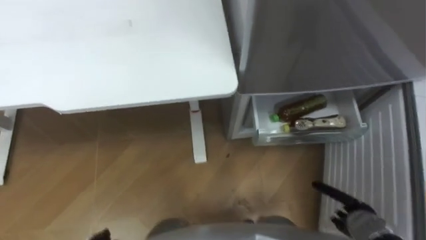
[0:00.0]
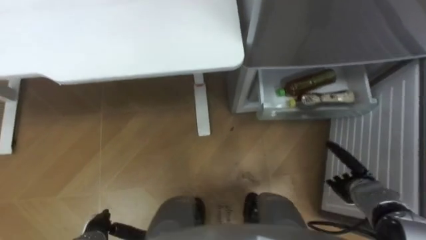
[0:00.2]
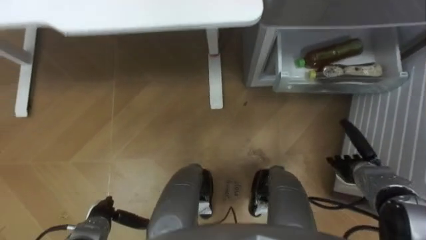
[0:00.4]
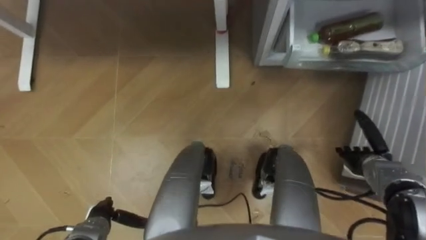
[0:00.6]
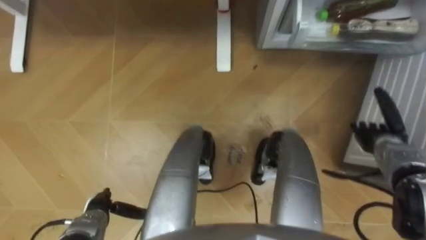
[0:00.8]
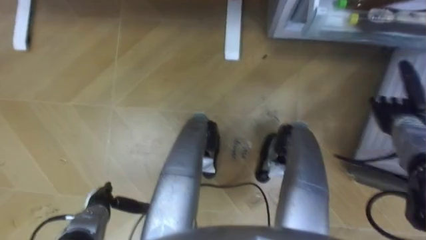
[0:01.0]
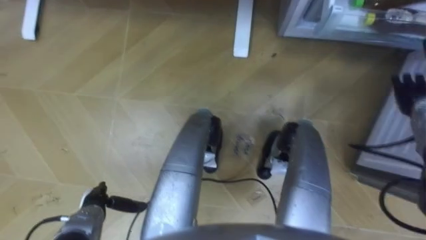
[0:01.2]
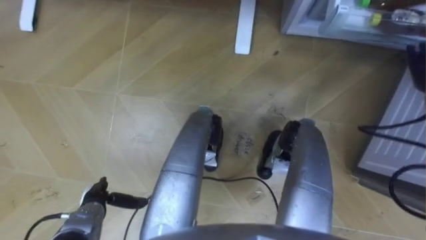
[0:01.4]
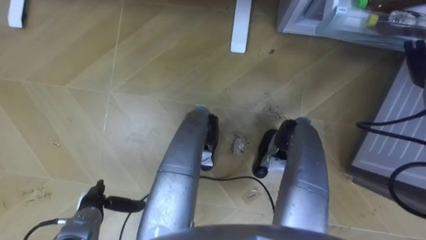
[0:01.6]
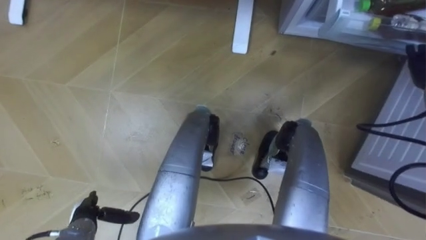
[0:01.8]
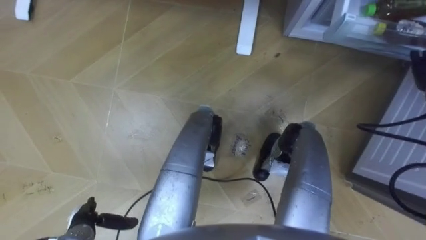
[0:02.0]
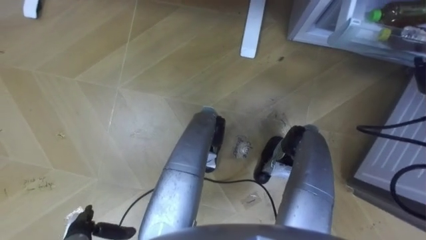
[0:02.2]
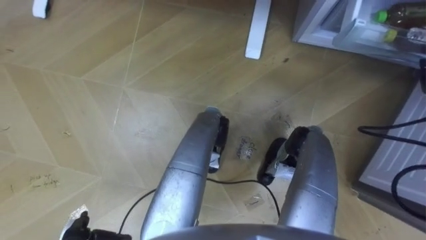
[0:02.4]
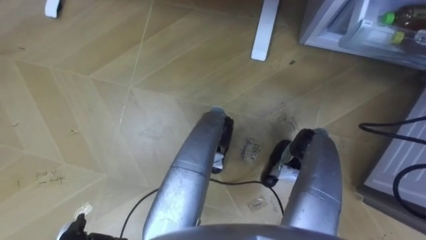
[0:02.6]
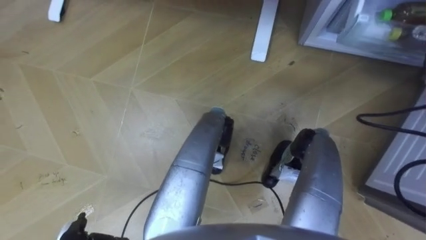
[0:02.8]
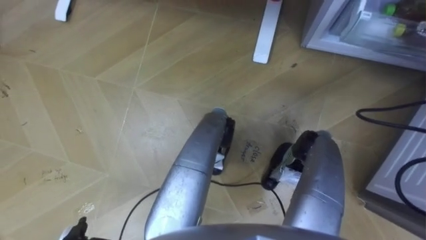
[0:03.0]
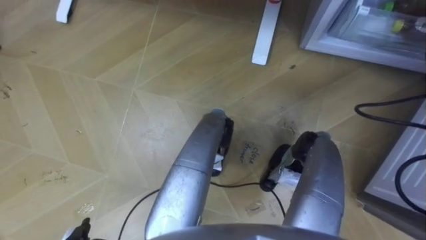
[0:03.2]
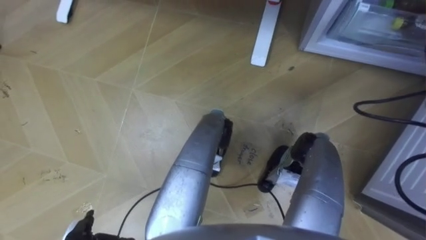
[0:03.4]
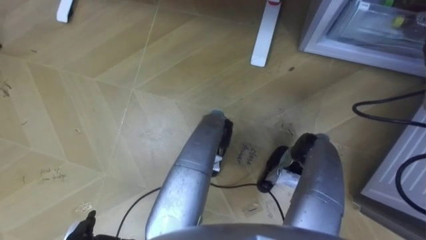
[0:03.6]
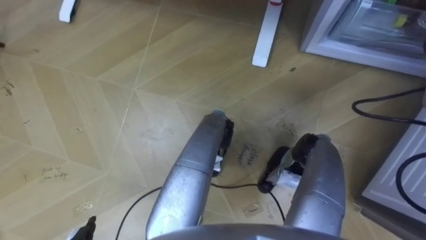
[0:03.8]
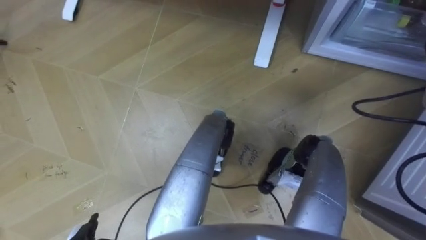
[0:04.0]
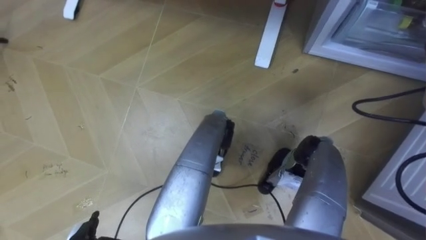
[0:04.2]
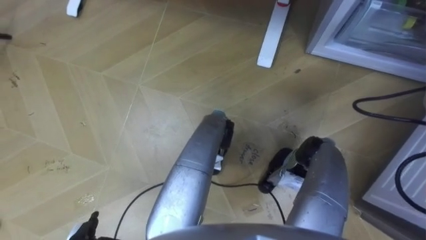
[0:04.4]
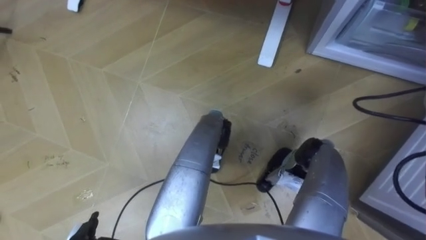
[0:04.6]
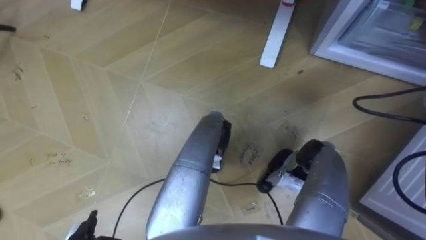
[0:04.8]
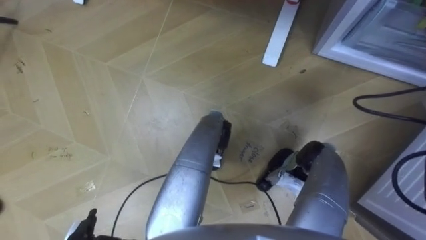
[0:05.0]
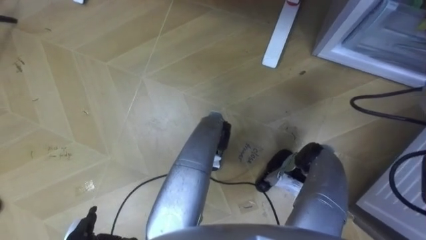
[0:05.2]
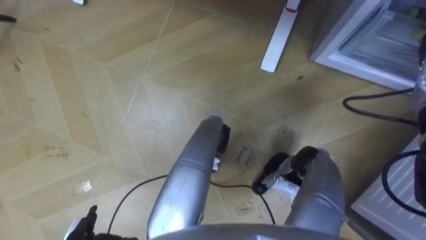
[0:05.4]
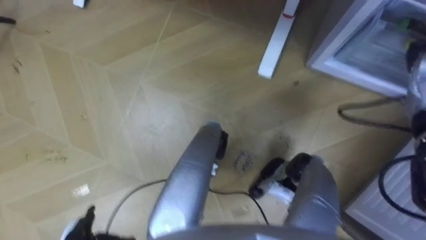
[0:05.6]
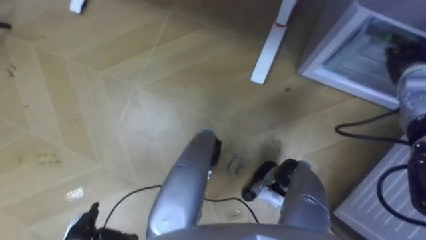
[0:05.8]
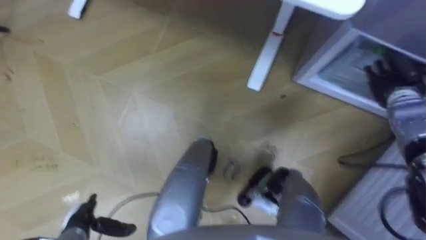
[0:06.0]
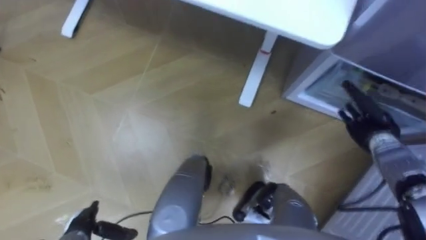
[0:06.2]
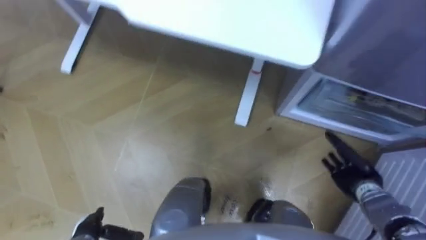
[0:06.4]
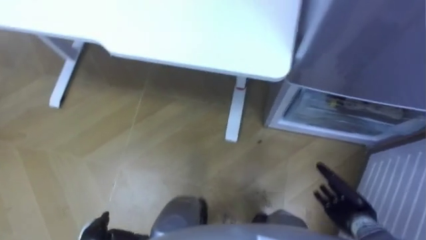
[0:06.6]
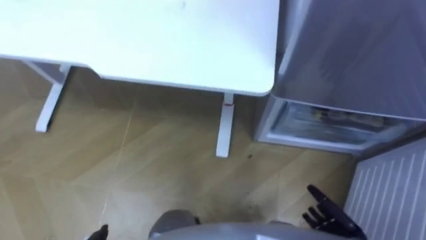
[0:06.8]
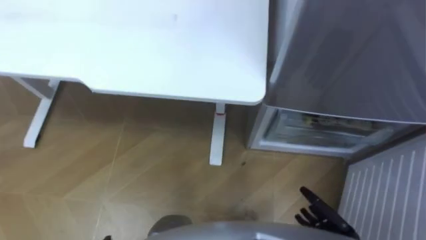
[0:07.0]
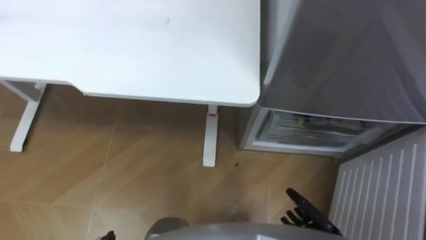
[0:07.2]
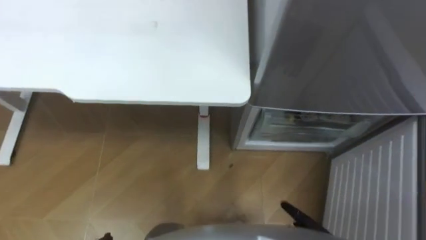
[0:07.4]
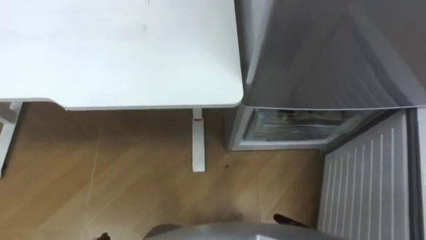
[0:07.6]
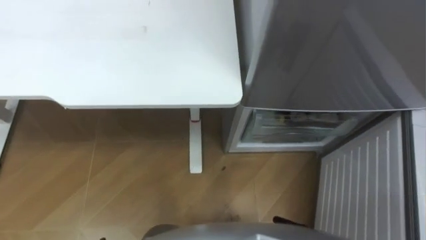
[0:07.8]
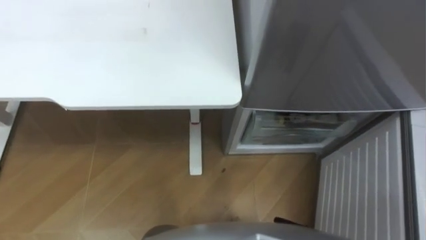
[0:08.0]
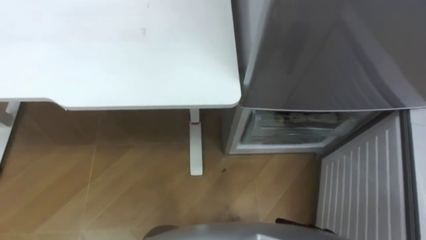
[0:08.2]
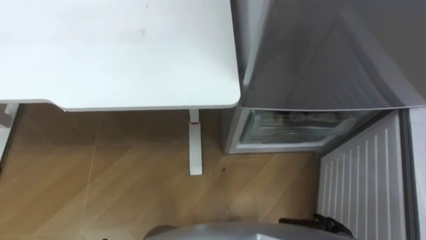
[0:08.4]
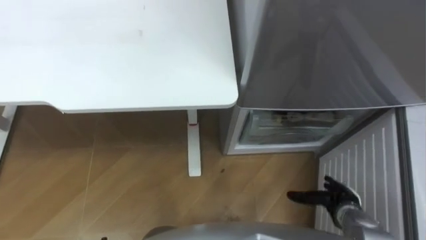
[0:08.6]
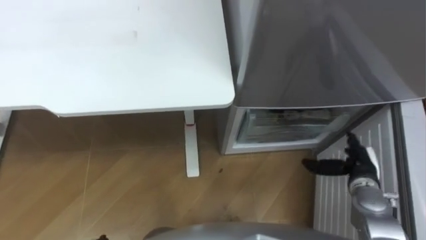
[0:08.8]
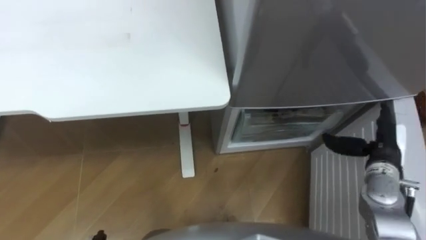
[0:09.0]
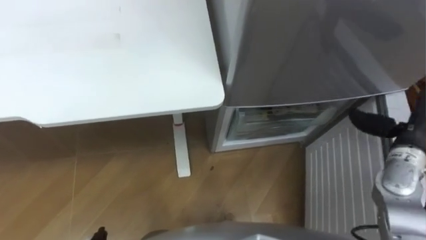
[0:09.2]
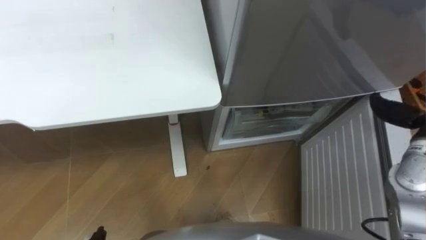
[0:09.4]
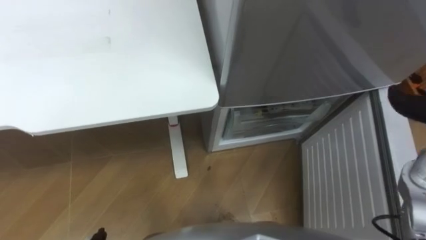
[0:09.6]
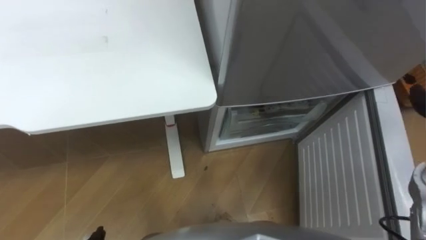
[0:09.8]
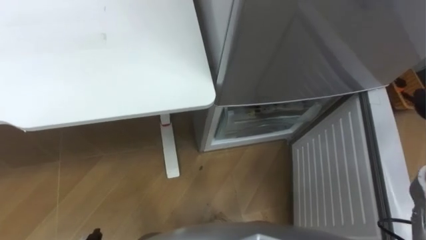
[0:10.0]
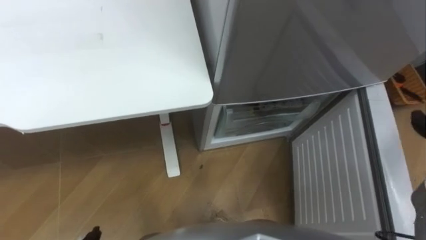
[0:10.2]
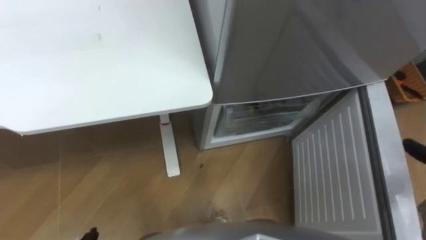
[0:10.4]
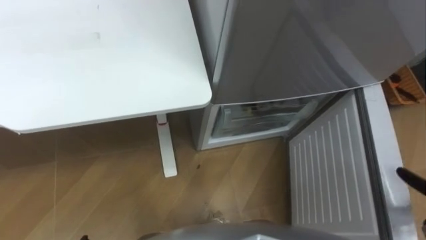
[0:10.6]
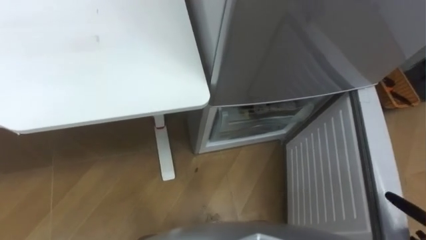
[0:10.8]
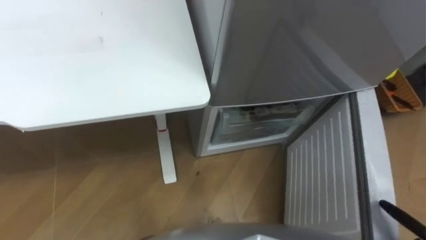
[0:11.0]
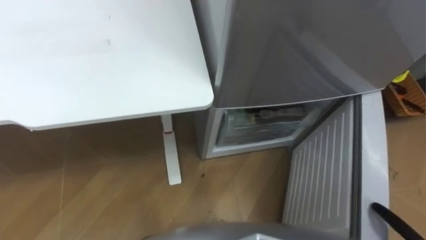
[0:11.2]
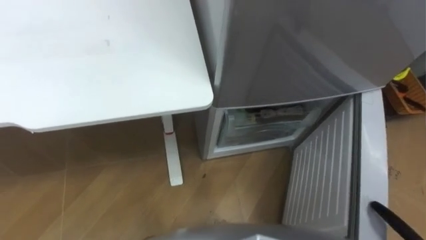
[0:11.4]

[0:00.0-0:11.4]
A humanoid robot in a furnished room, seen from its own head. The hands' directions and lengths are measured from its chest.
Task of the whole recording: Place the drink on the table on the bottom shelf of the refrigerator, then close the drawer and the refrigerator door.
0:05.6 to 0:07.2: The right hand shifts roughly 40 cm backward, downward and to the left.

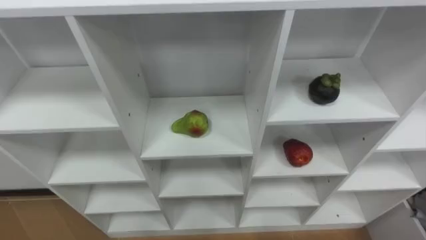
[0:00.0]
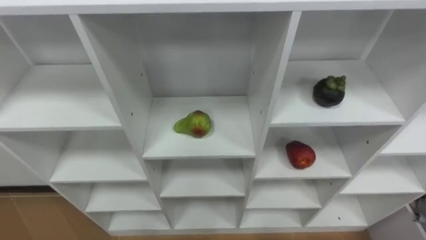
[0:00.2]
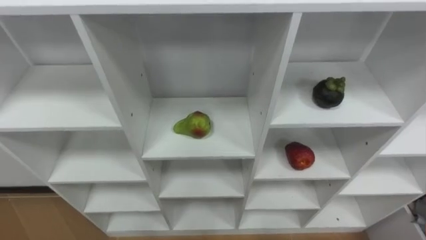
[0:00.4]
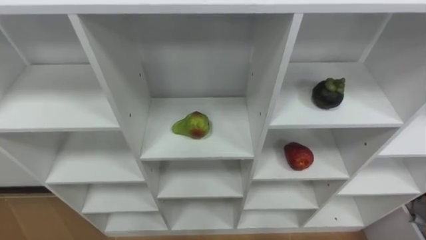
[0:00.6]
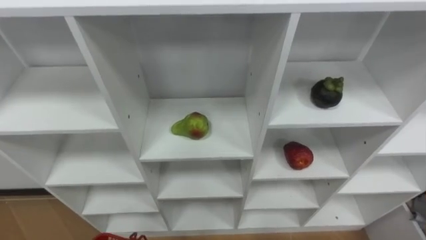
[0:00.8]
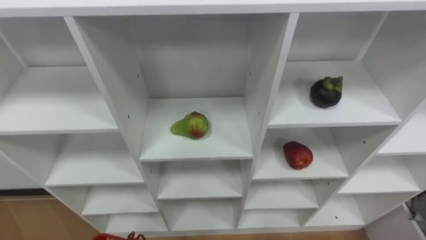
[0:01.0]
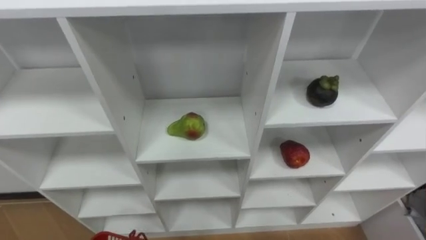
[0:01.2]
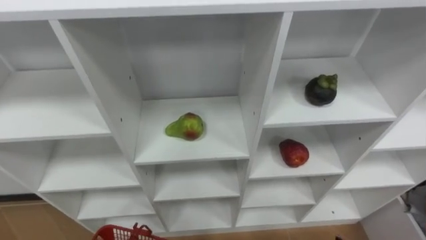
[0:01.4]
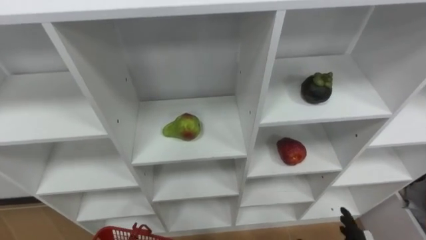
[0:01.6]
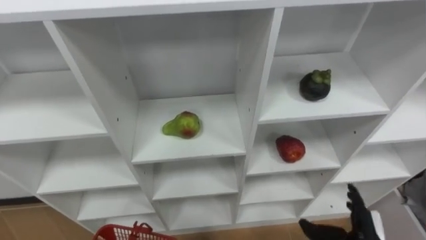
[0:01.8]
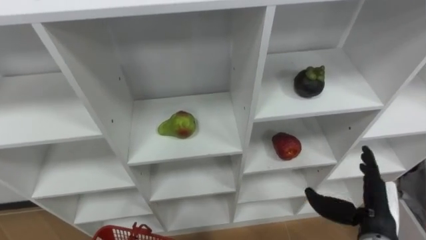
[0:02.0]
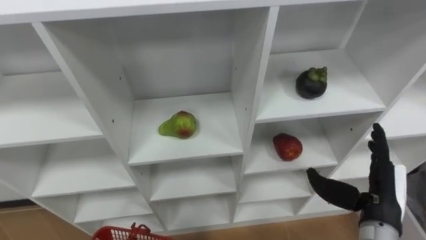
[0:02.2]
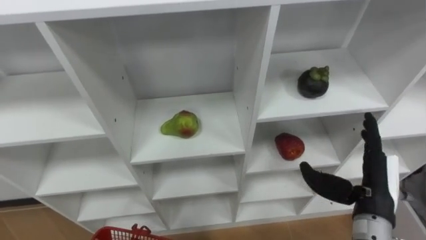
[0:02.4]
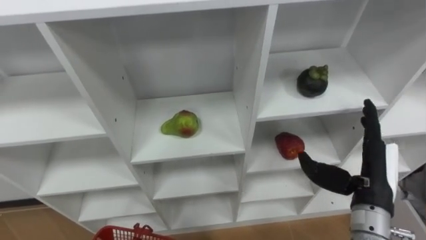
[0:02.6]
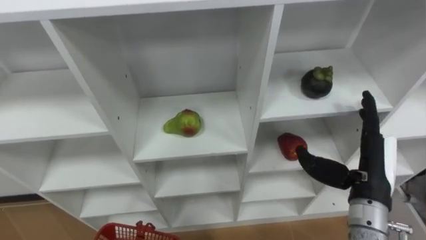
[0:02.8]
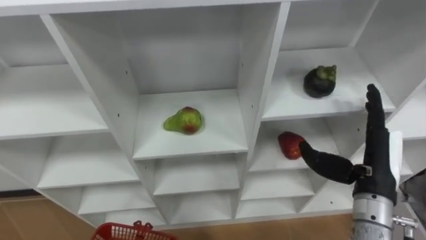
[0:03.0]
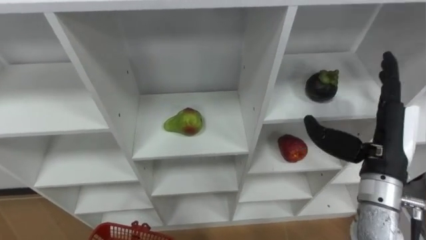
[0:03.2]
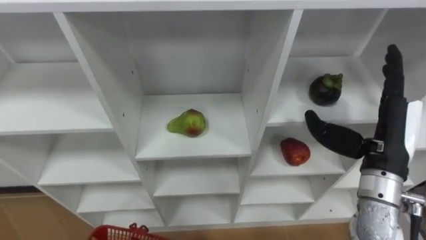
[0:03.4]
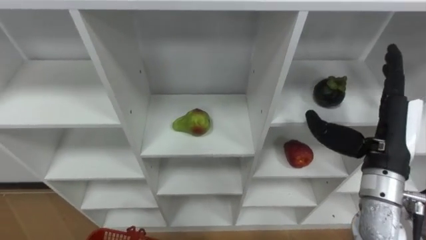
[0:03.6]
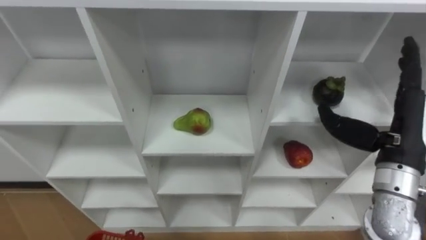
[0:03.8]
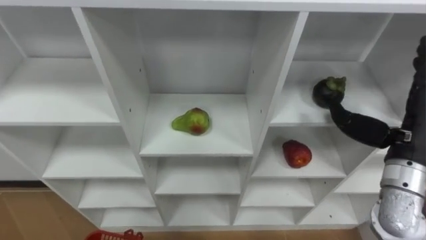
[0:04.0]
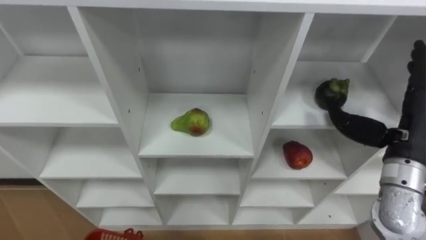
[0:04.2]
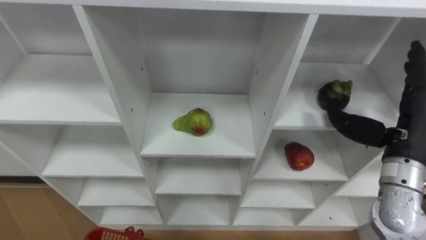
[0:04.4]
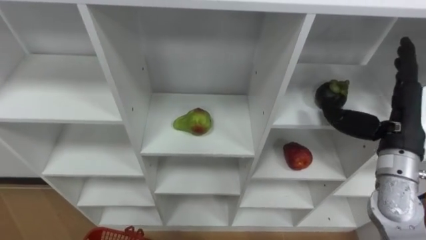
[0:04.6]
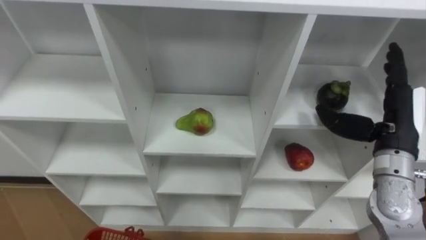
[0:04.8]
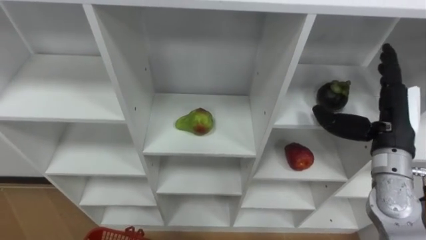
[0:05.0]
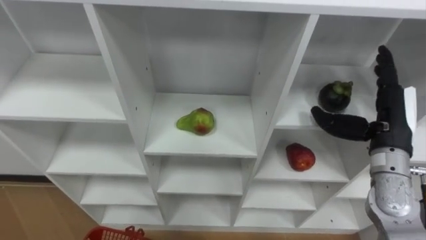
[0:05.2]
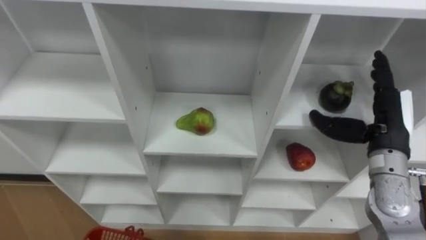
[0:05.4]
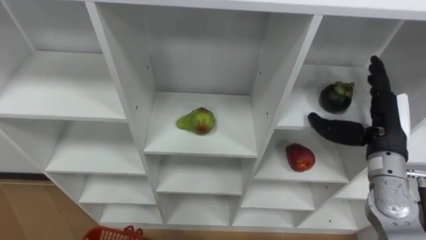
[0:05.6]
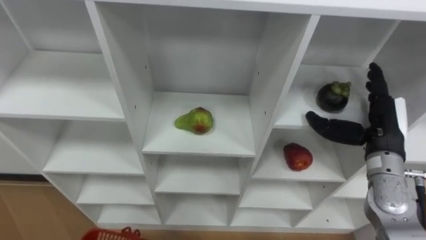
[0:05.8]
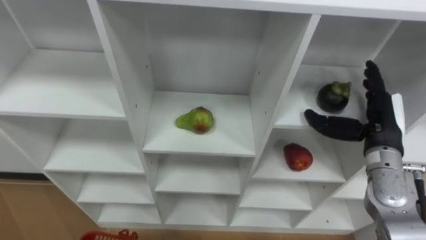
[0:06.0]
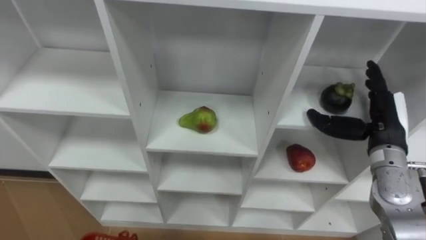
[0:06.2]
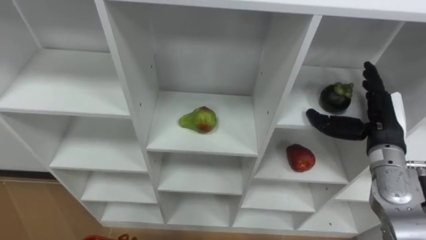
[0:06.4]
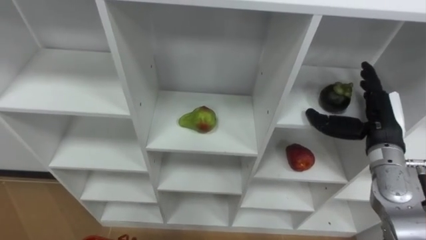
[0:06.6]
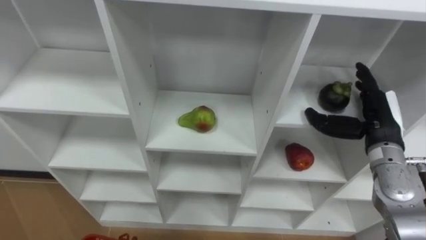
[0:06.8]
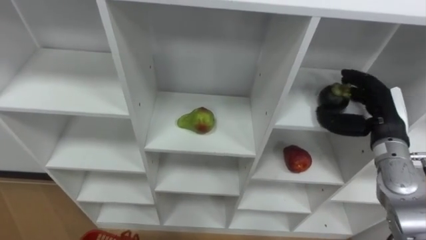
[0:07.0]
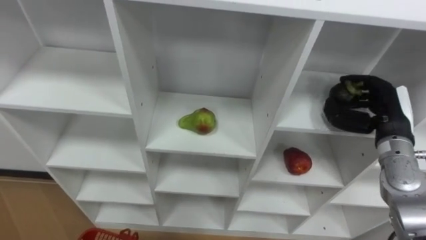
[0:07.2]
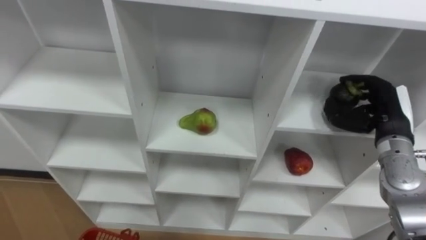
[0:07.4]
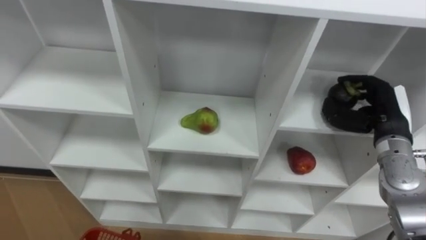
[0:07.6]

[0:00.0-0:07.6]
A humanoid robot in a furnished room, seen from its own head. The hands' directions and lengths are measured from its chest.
Task of the whole recording: Hold the basket and collect the fruits from 3 different cells of the closet into it.
0:03.0 to 0:04.6: The right hand moves approximately 10 cm.
0:04.6 to 0:06.0: The right hand shifts by some 5 cm.
0:06.0 to 0:07.6: The right hand closes up.
